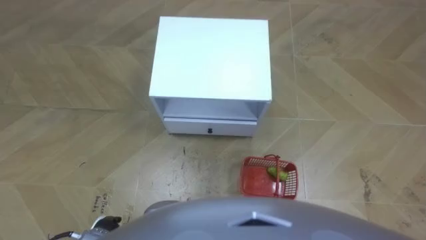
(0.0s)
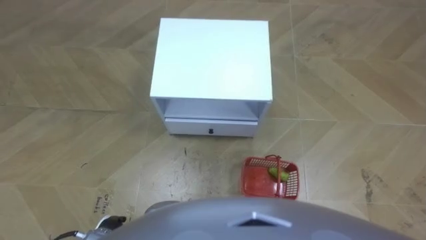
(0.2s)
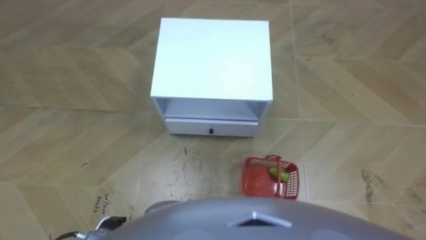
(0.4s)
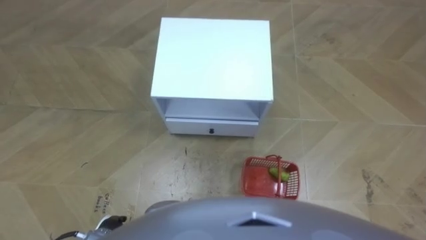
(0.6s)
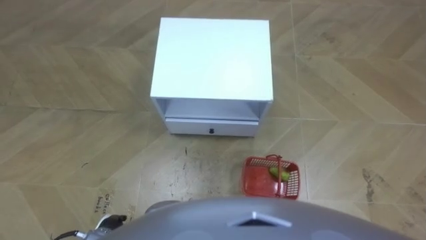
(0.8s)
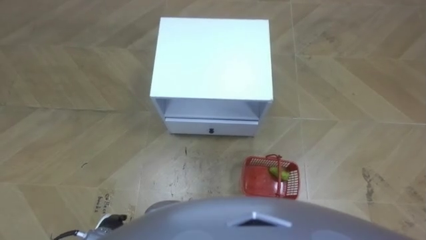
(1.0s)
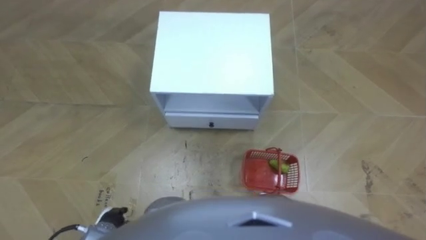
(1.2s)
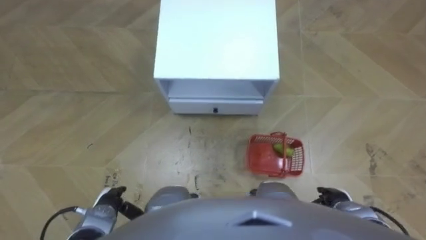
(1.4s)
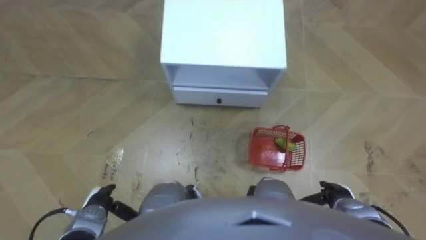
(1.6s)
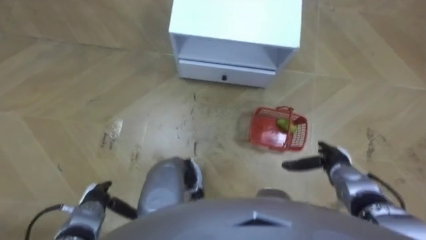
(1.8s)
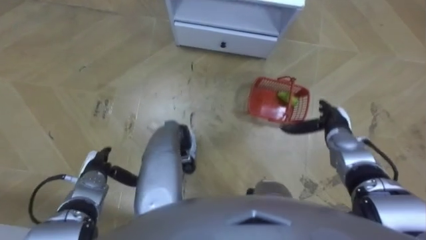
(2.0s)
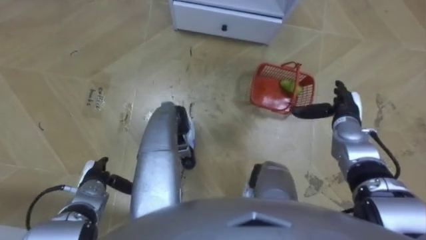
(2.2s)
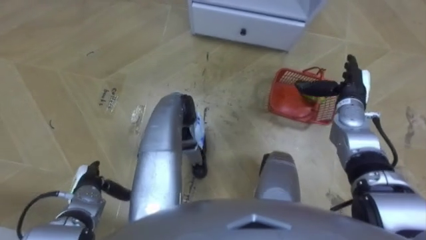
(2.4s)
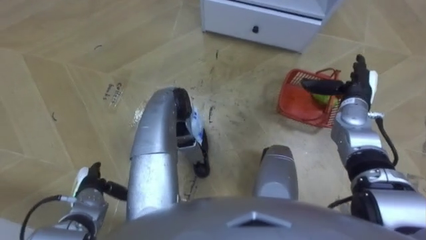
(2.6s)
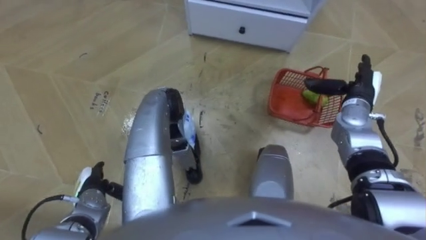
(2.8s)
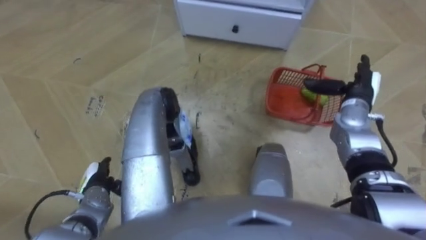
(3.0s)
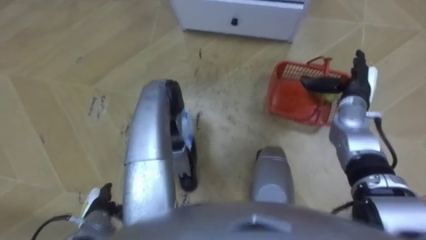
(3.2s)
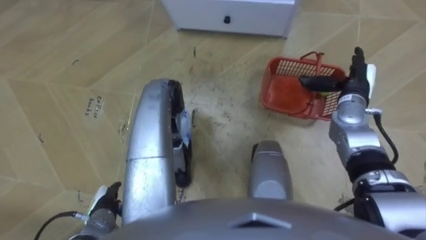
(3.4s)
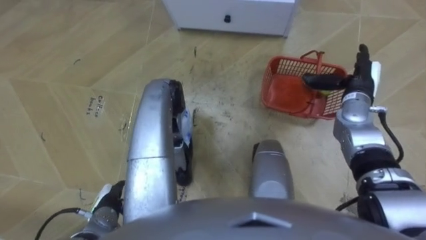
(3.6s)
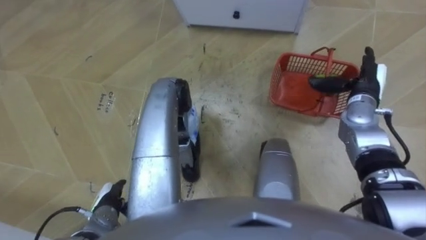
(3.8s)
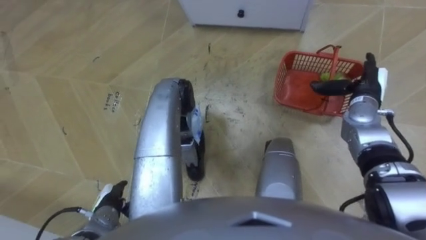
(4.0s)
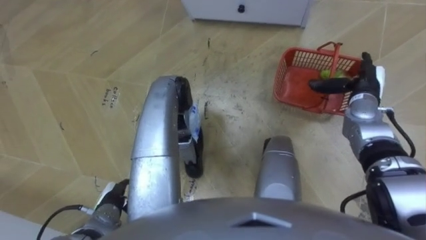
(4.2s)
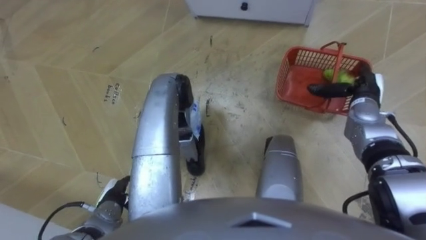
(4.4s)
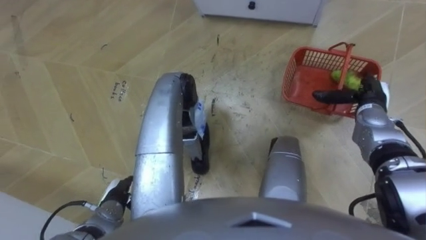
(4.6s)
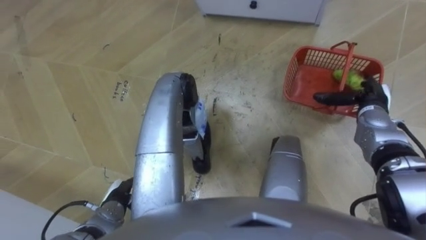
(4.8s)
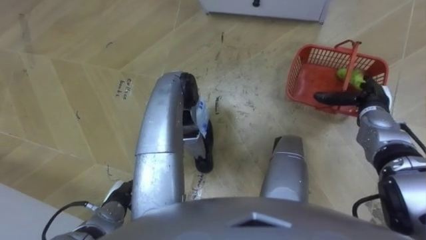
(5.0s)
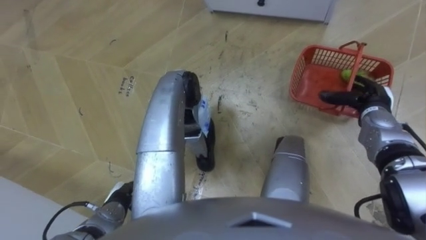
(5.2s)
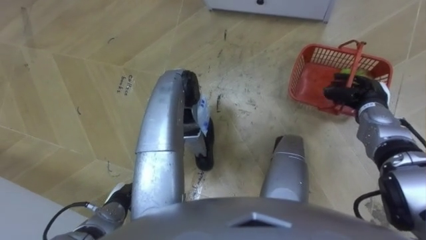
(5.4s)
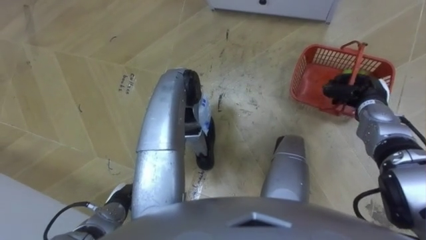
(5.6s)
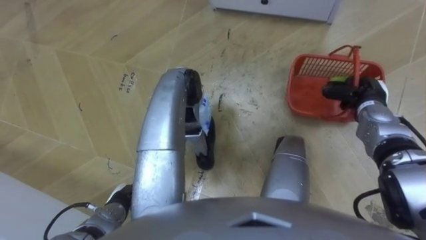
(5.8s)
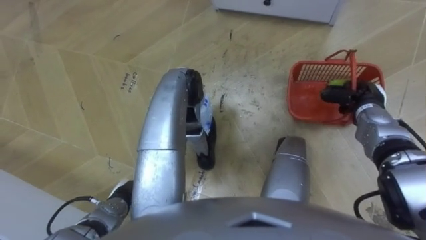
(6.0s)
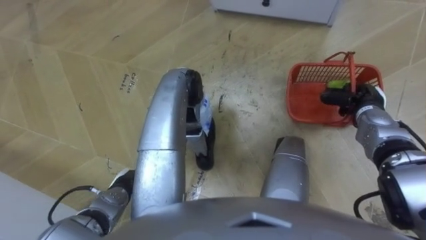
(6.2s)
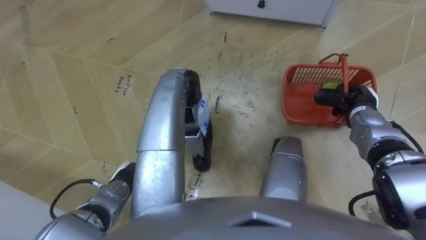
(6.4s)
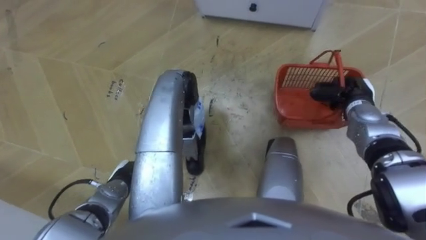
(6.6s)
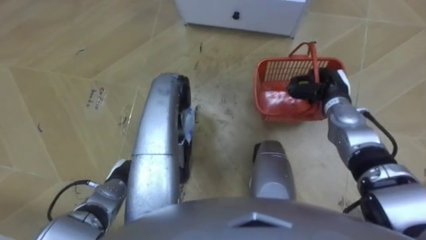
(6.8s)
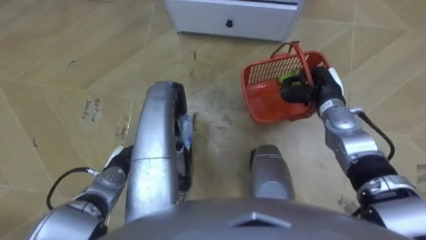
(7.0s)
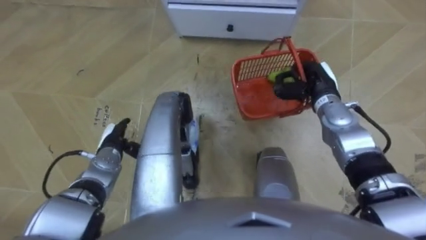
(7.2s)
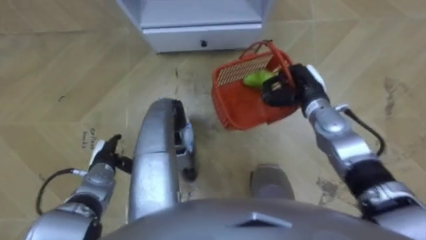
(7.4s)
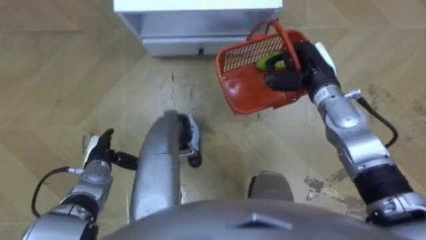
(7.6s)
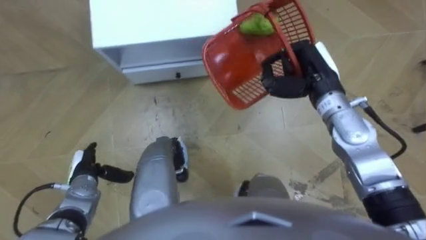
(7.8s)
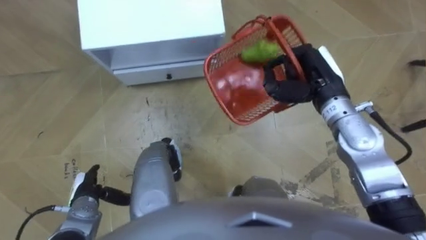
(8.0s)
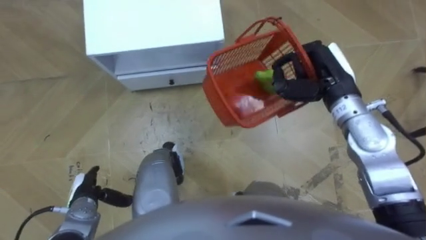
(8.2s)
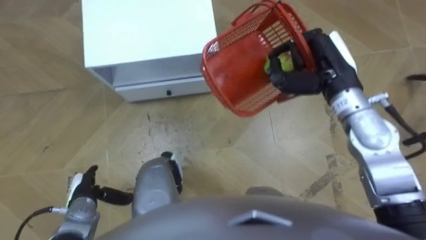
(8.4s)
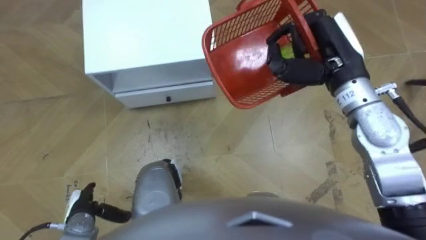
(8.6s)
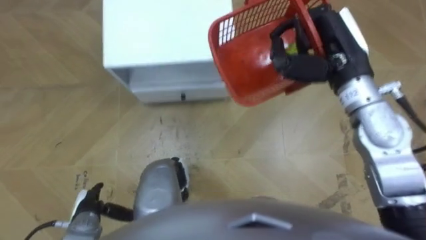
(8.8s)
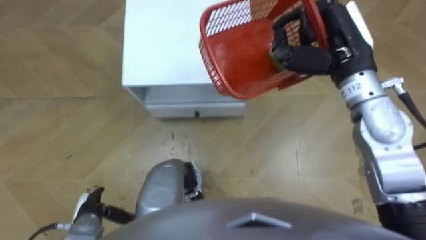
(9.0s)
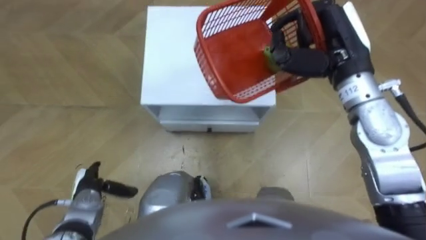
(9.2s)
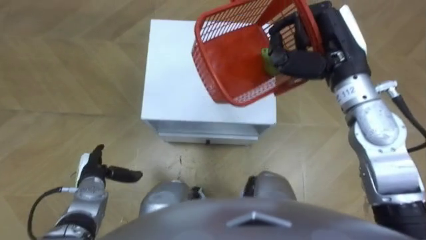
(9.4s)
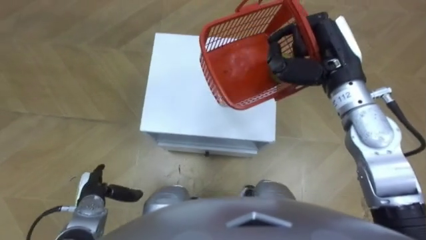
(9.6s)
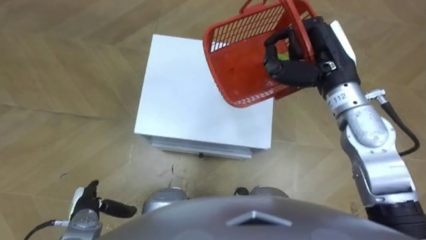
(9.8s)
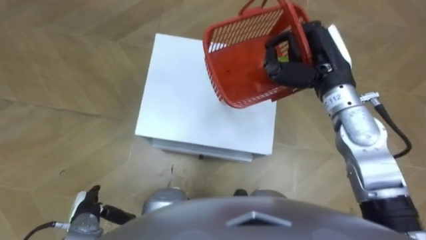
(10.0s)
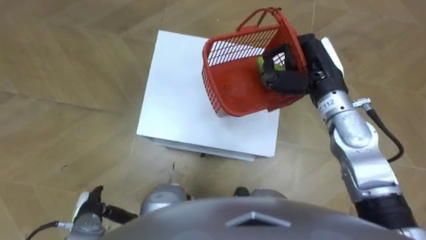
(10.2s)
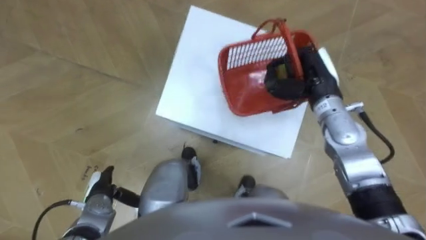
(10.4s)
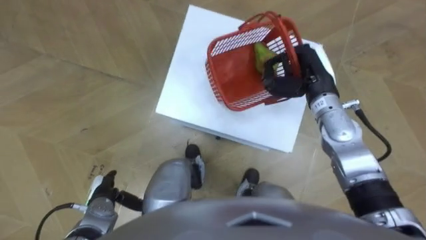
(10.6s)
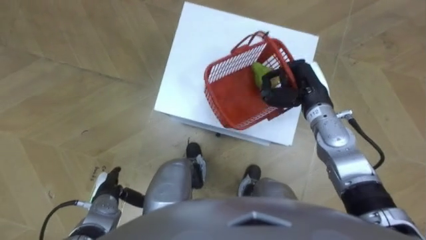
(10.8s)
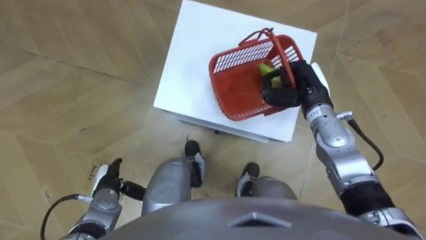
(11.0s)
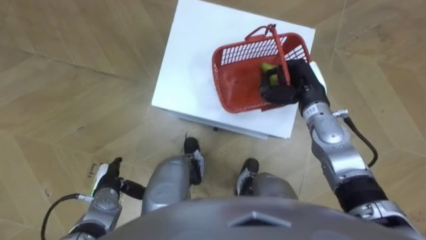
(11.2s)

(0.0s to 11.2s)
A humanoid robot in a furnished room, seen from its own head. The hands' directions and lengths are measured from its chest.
Task of the whole recording: Pick up the fruit basket from the floor and place it on the cabinet.
1.6s - 3.2s: The right hand shifts some 25 cm forward and upward.
3.2s - 4.8s: The right hand shifts by roughly 5 cm.
4.8s - 6.4s: The right hand closes its fingers.
6.4s - 8.0s: The robot's body swings roughly 25 degrees to its right. The right hand is displaced upward and to the left by roughly 15 cm, while the left hand moves to the left, approximately 10 cm, and goes forward and returns, some 10 cm each way.
8.0s - 9.6s: The left hand goes backward and returns, approximately 5 cm each way; the right hand is displaced upward by some 5 cm.
9.6s - 11.2s: The right hand is displaced downward by roughly 15 cm.

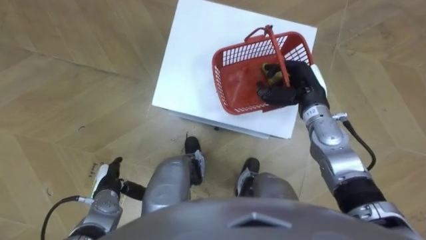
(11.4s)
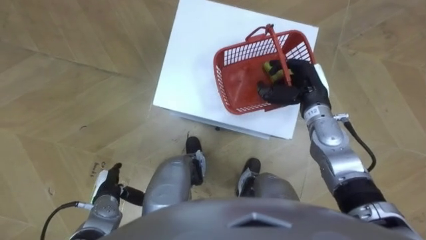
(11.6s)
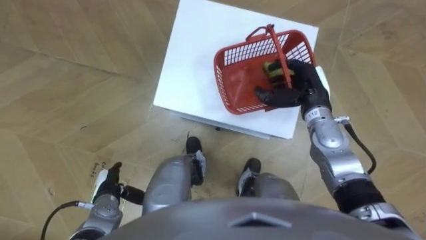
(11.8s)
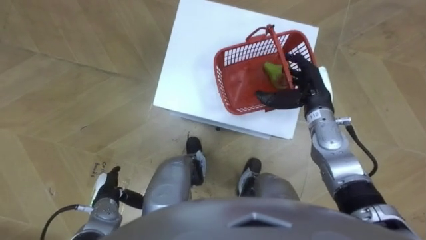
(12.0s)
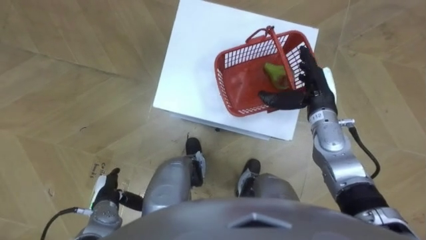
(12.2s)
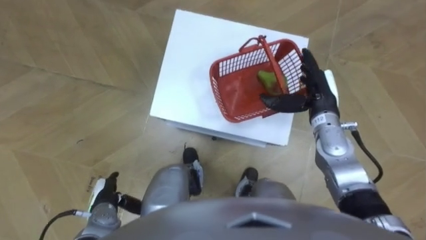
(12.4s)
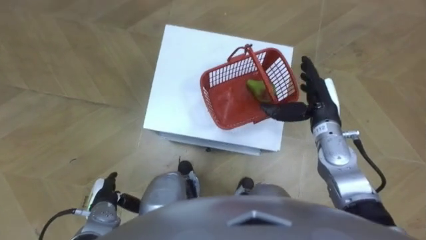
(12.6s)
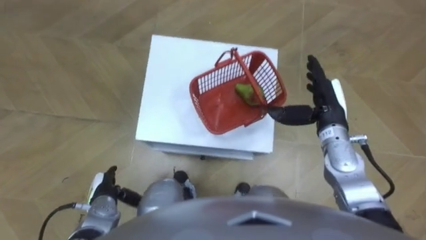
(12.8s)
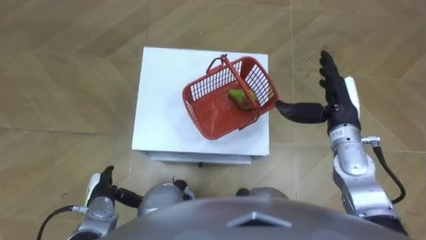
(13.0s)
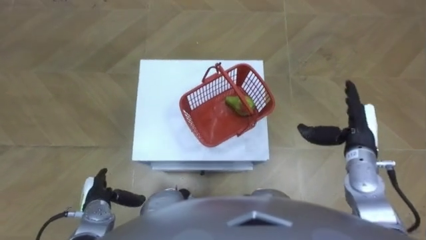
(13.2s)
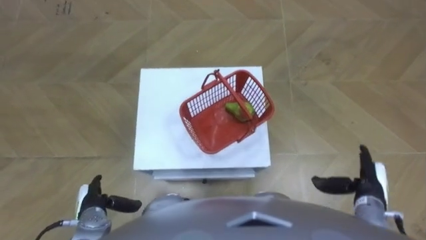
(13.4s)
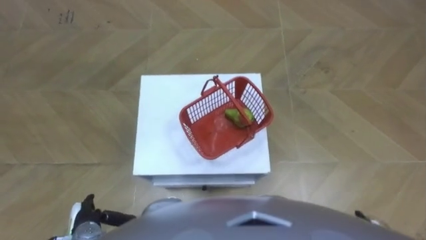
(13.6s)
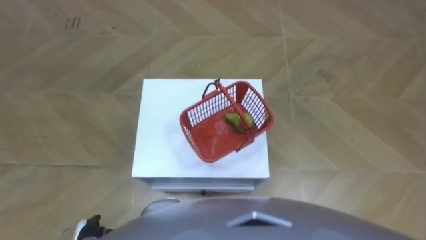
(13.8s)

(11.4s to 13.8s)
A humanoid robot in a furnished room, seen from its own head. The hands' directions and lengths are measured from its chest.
Task of the whole recording: Pick up the fruit basket from the floor and place it on the cabinet.
11.4s - 12.6s: The right hand opens.
12.6s - 13.8s: The left hand heads backward, covering roughly 5 cm.

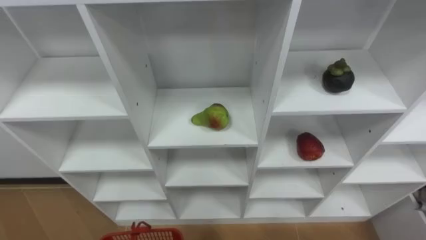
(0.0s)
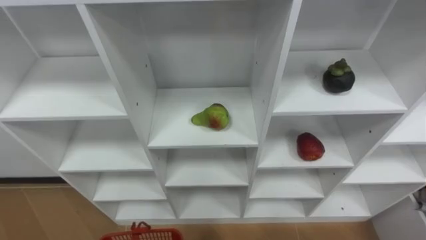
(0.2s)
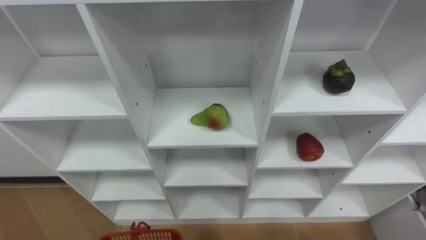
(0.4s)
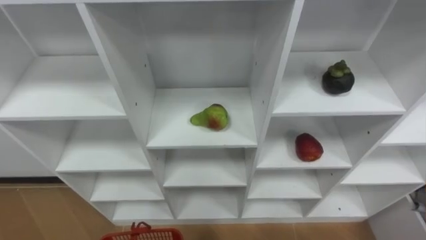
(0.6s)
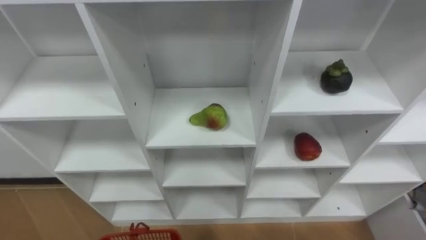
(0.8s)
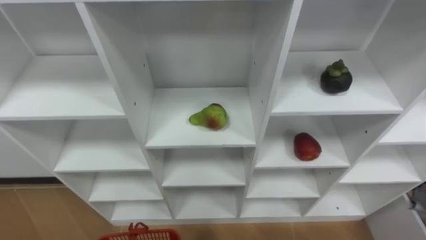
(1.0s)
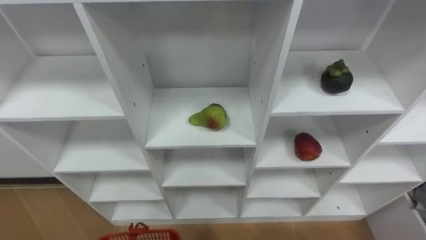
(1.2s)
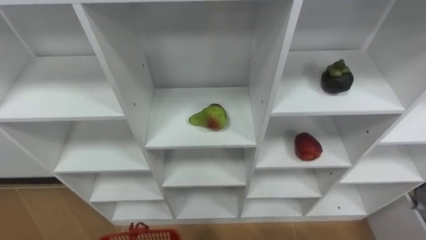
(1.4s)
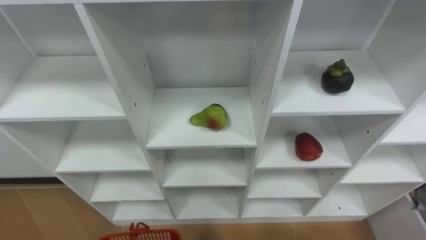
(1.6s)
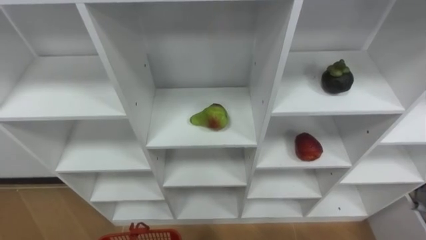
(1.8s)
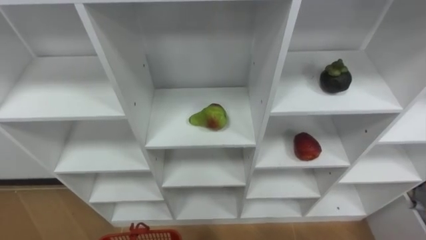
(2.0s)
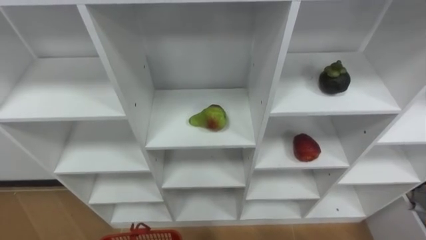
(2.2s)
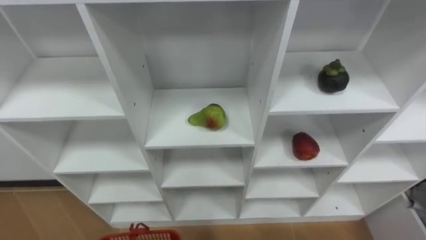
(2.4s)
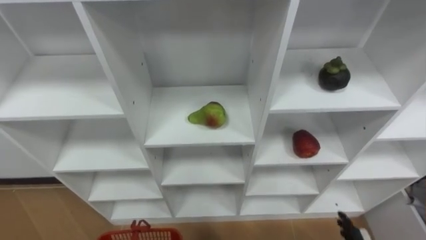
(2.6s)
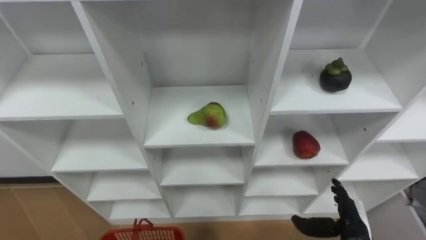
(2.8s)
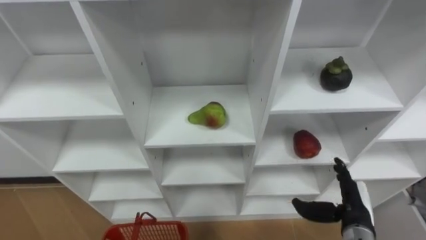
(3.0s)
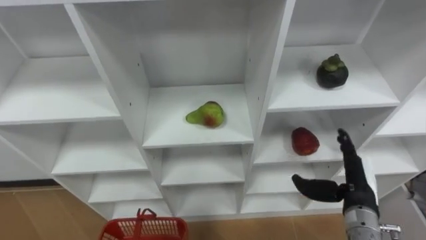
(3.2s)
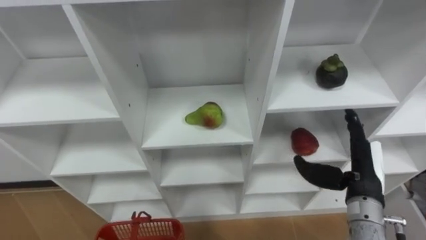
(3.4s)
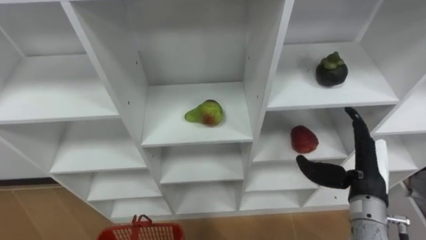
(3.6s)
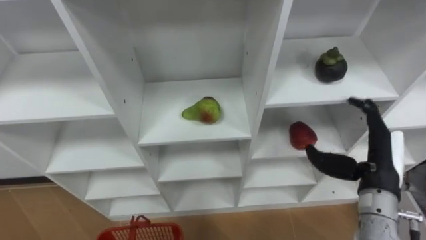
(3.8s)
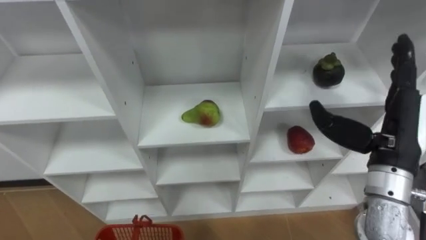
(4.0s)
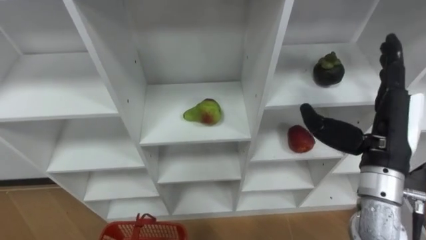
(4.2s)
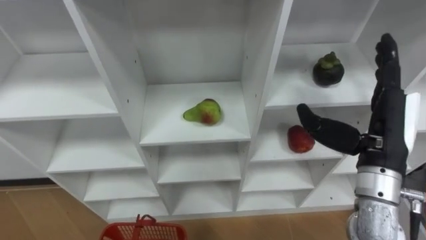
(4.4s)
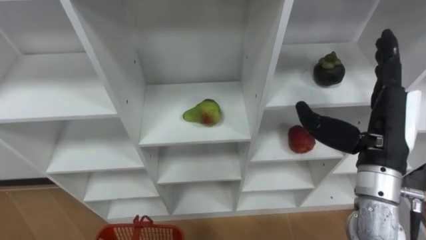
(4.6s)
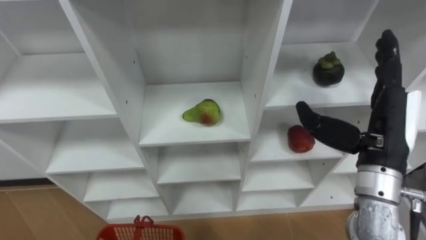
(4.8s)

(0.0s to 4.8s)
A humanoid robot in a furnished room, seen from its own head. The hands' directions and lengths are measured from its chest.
Task of the whole recording: Hold the basket and collect the fruits from 3 different cells of the closet into it.
3.2s - 4.8s: The right hand is displaced upward by some 20 cm.
